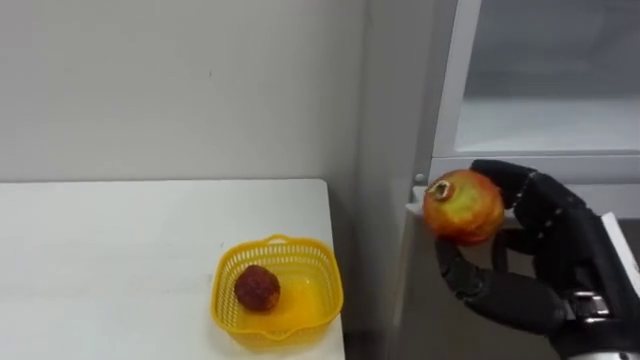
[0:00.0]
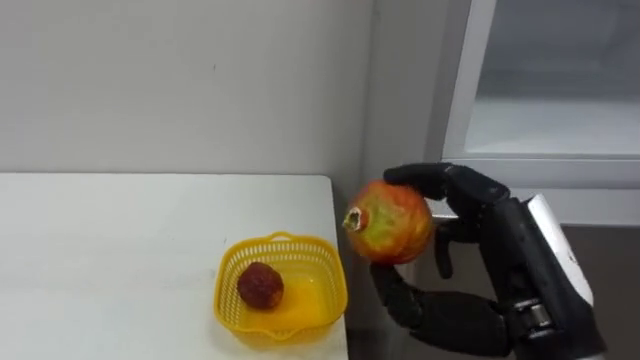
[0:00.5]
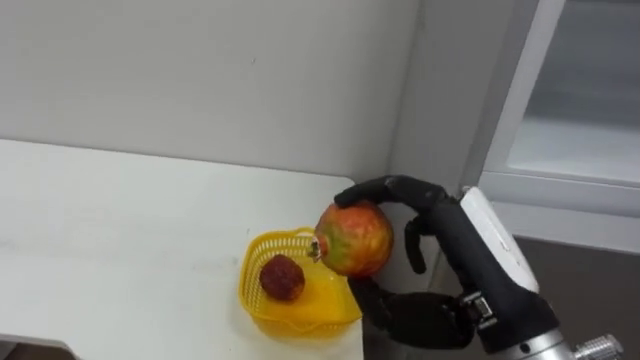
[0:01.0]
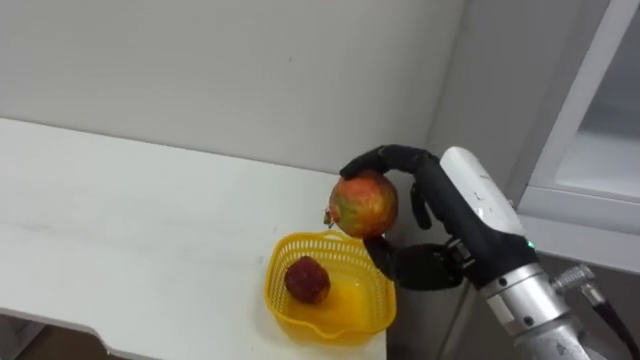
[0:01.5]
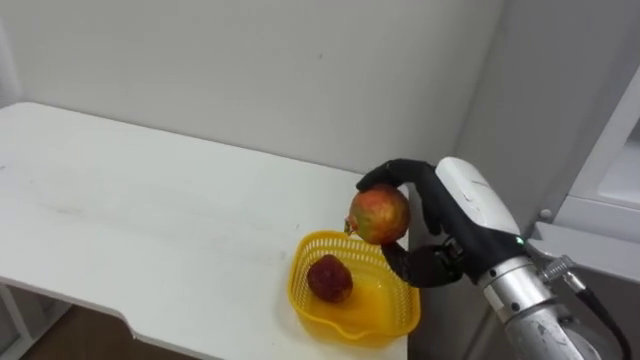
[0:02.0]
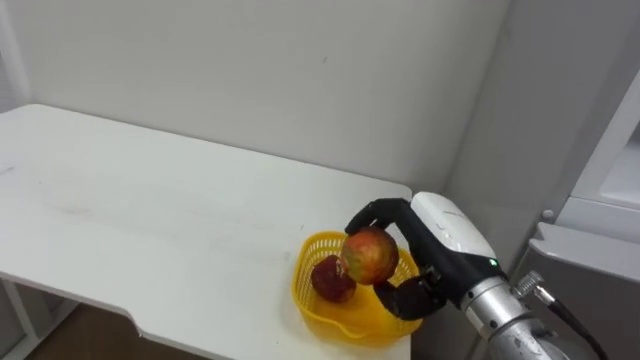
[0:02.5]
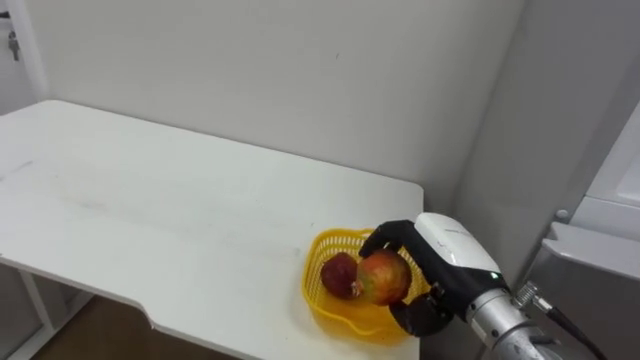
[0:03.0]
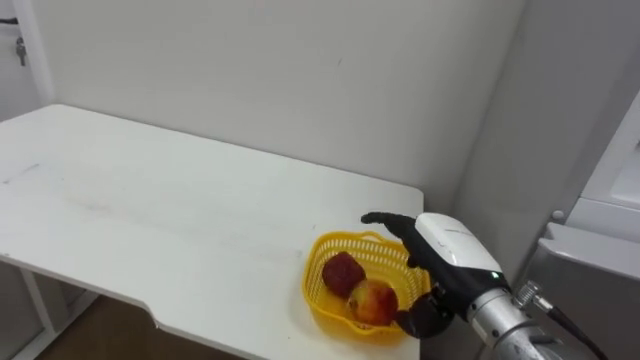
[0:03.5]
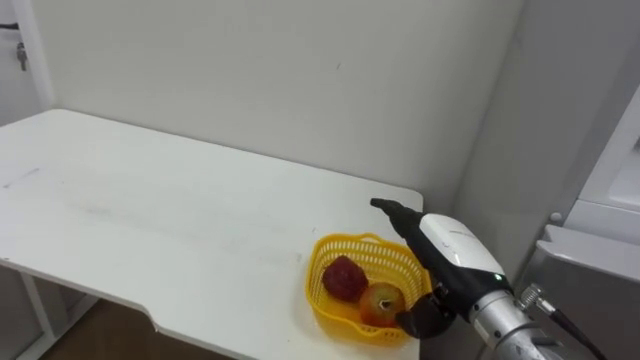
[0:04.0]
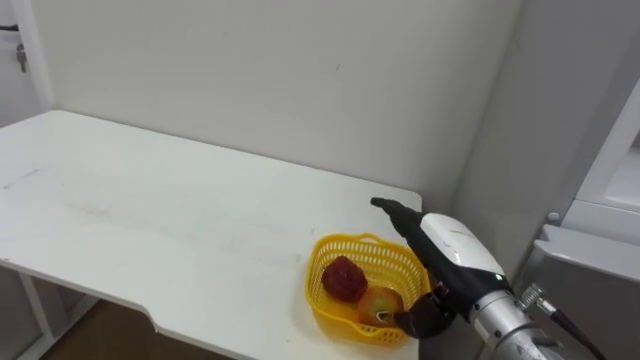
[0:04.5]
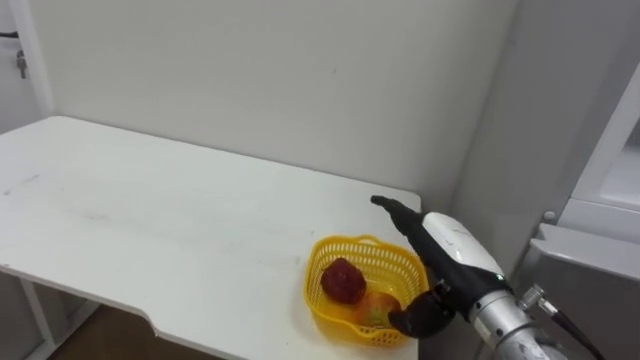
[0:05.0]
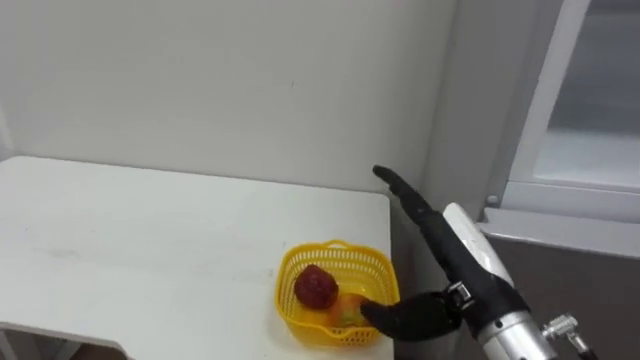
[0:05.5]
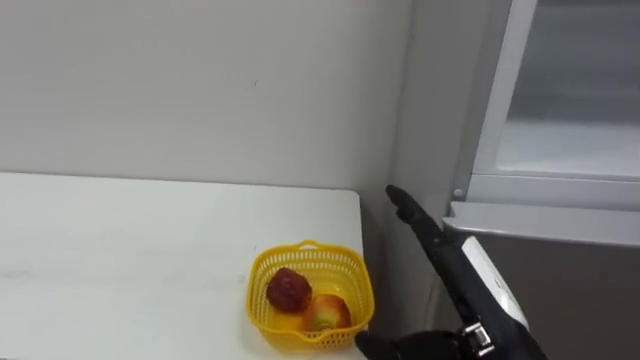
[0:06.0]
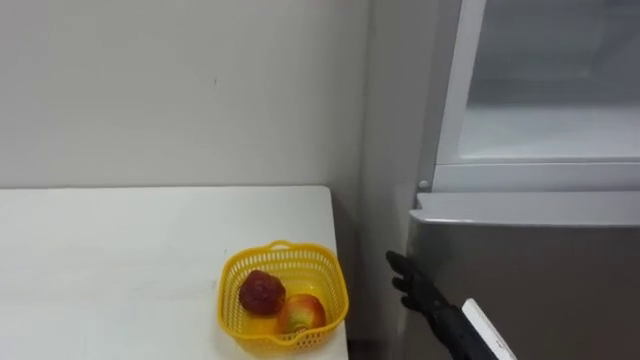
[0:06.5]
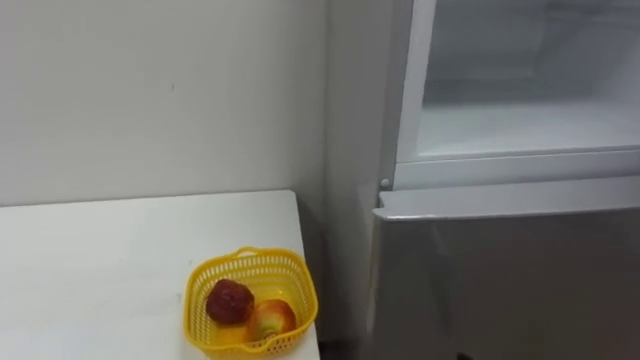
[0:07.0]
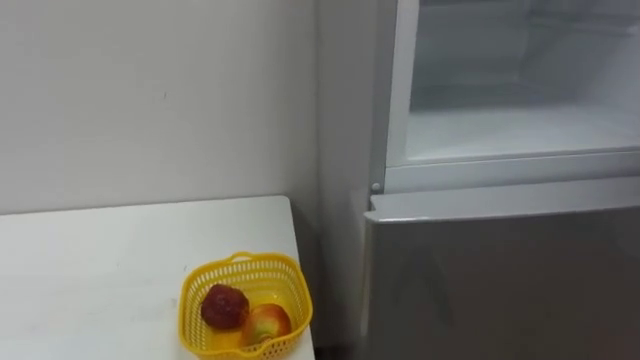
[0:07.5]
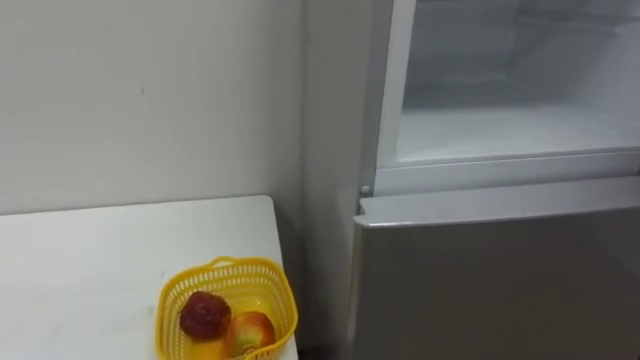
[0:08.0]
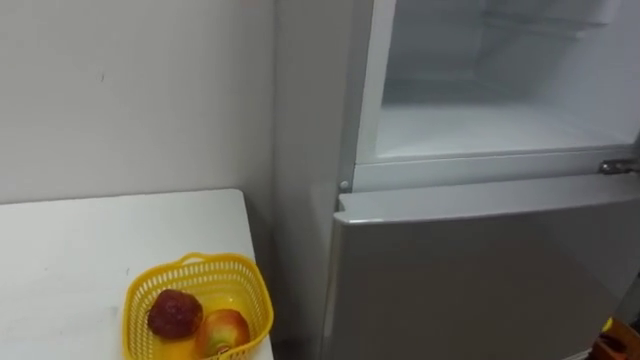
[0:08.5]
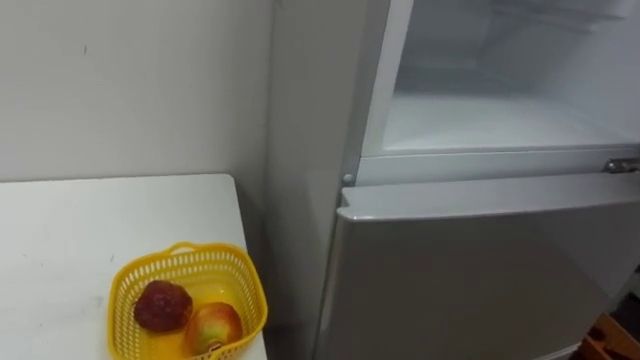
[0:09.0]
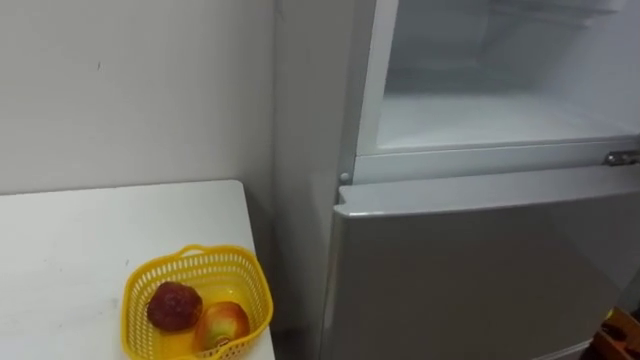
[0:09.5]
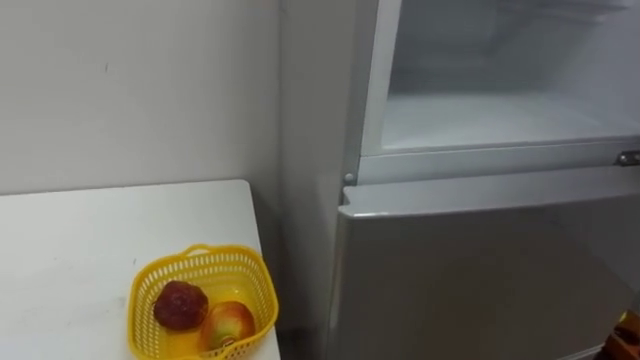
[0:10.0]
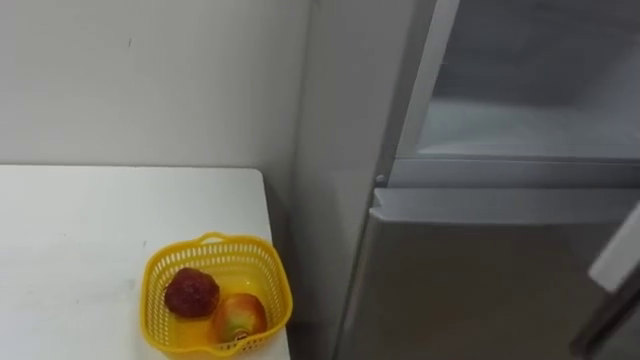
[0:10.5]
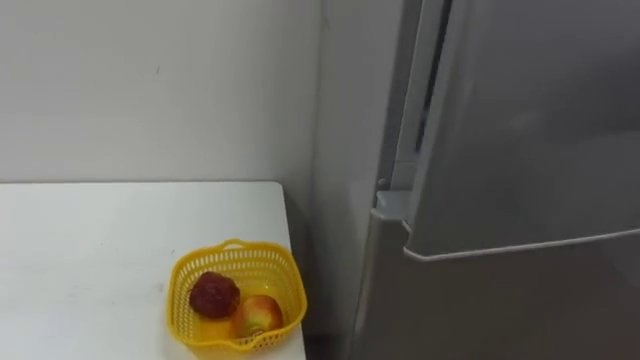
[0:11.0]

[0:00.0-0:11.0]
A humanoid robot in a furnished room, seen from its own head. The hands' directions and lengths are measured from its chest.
Task of the whole recording: Open the refrigerator door, take out the apple and the pomegranate, place them in the fruit basket on the left, and close the refrigerator door.
0:00.0 to 0:02.0: The right hand goes roughly 10 cm to the left and forward.
0:02.0 to 0:03.5: The right hand travels downward by some 5 cm.

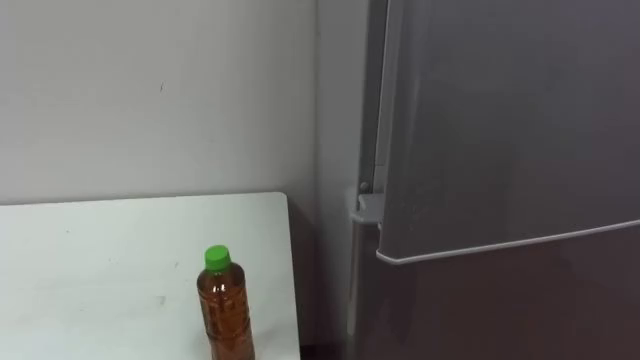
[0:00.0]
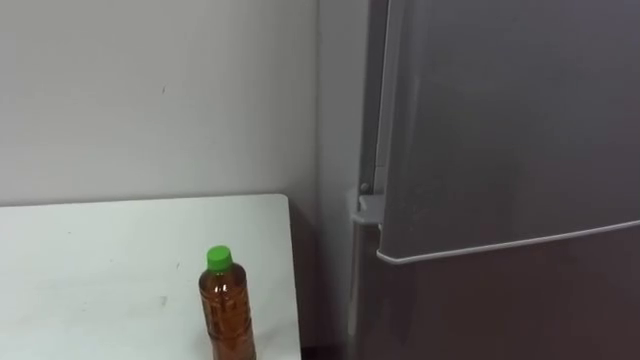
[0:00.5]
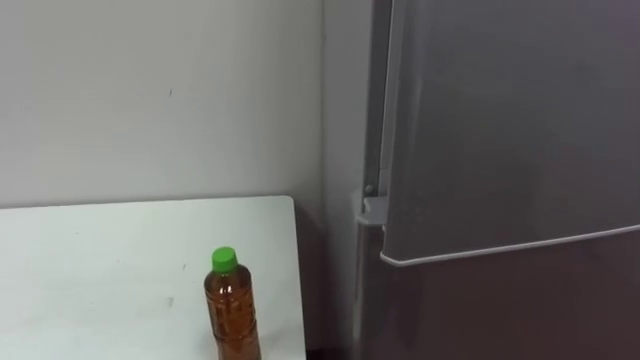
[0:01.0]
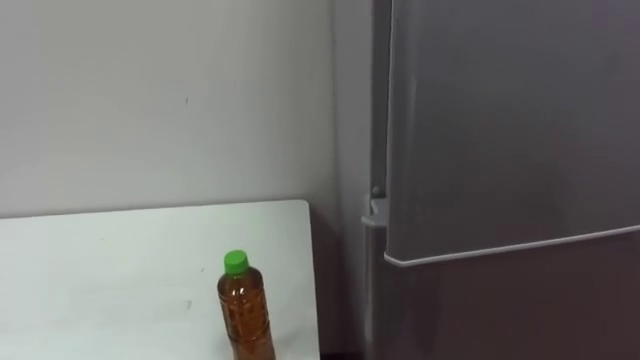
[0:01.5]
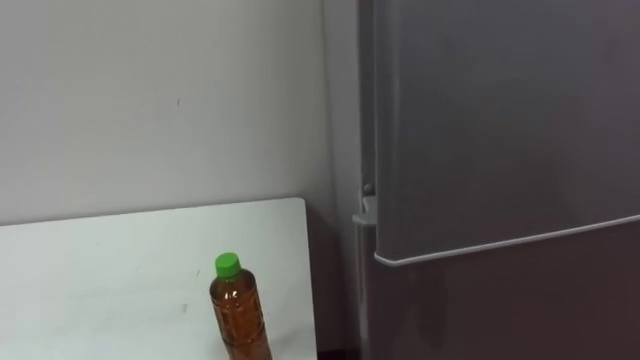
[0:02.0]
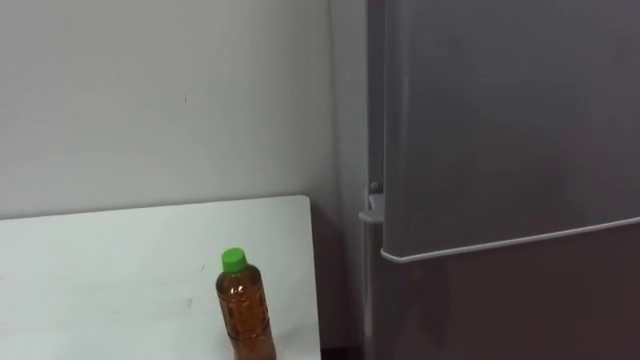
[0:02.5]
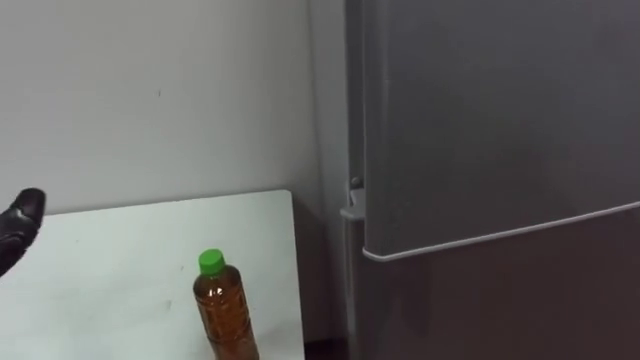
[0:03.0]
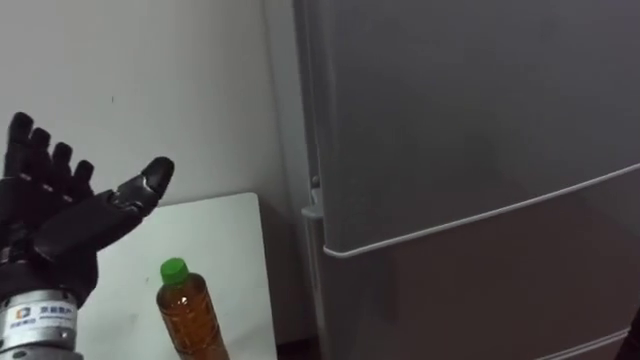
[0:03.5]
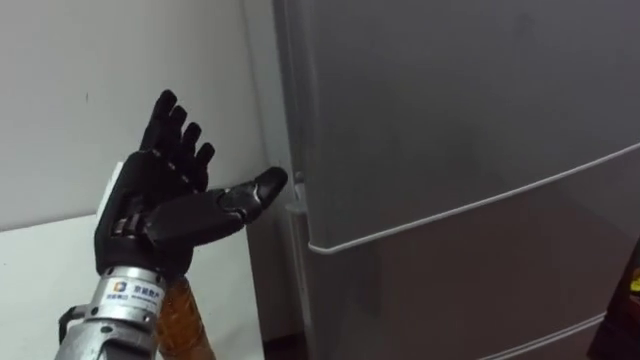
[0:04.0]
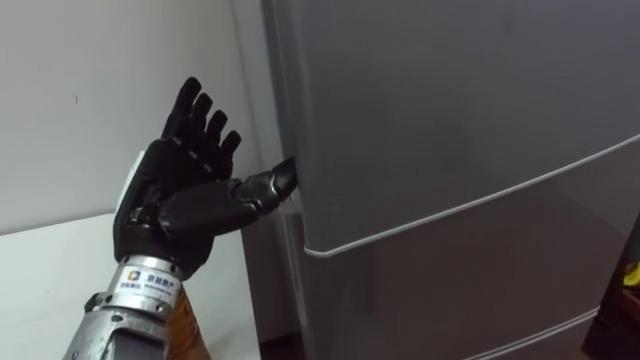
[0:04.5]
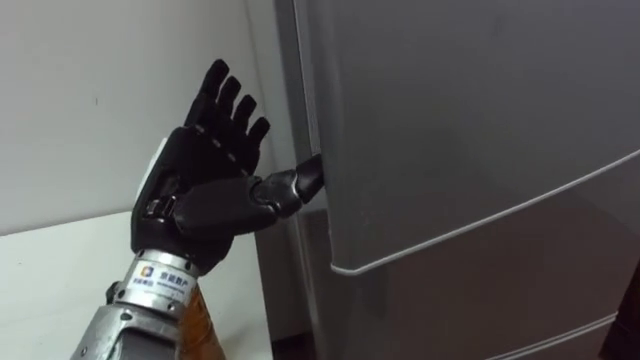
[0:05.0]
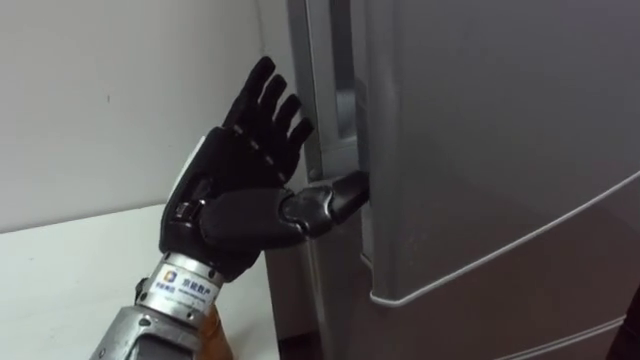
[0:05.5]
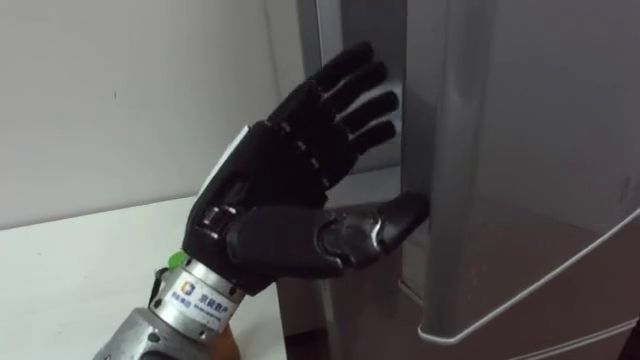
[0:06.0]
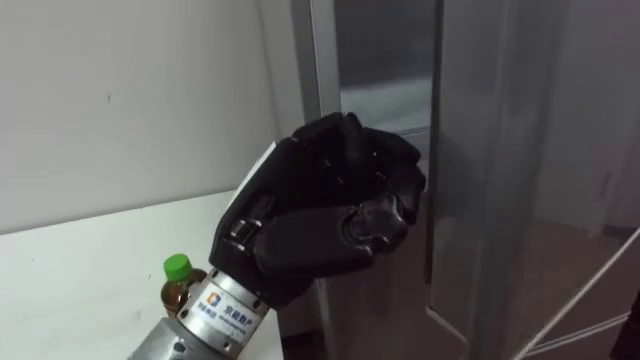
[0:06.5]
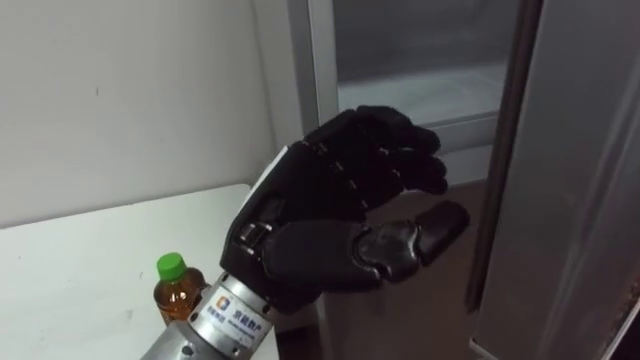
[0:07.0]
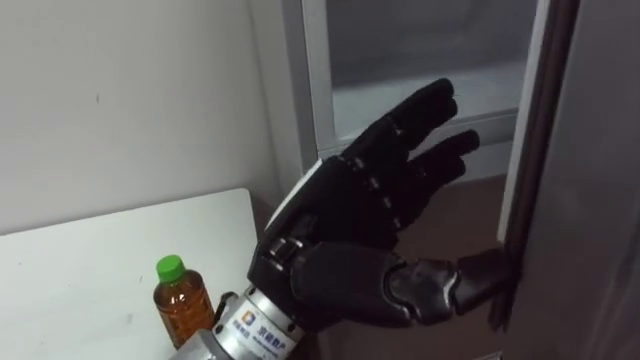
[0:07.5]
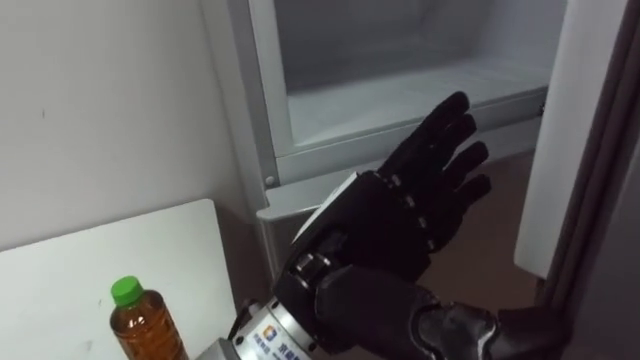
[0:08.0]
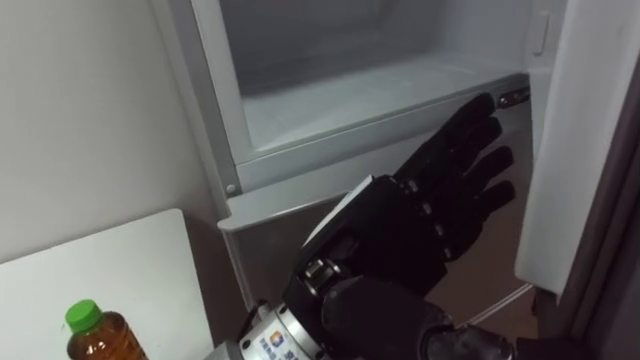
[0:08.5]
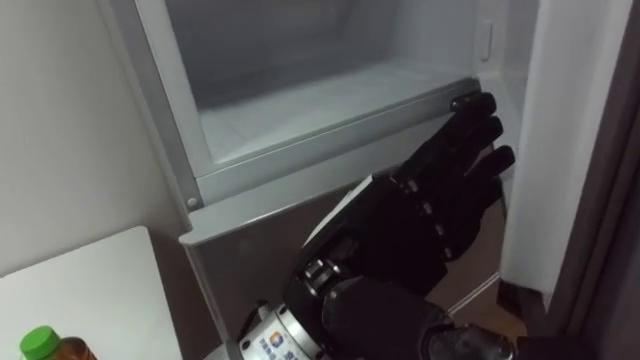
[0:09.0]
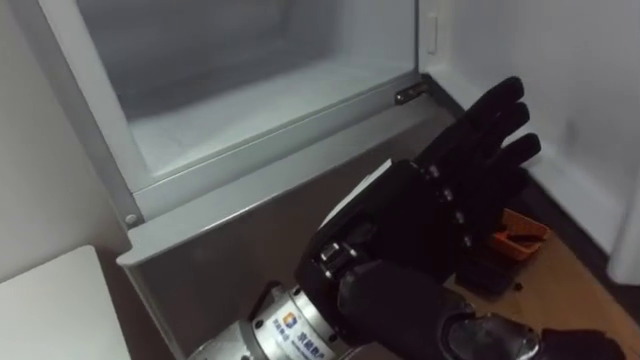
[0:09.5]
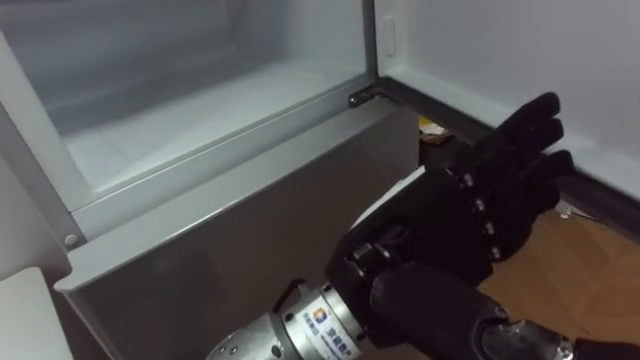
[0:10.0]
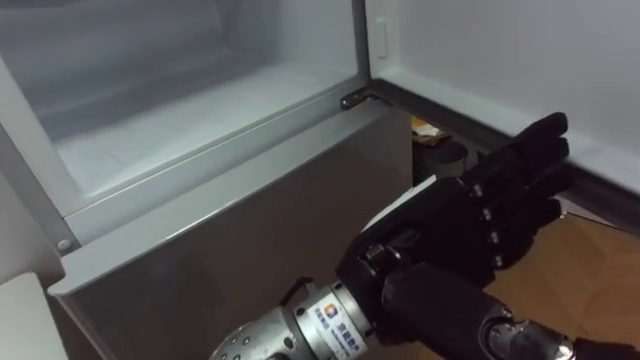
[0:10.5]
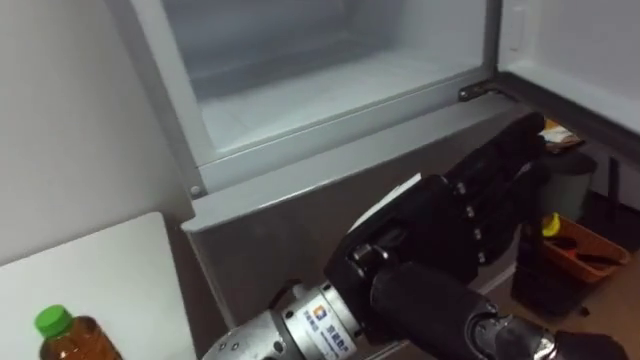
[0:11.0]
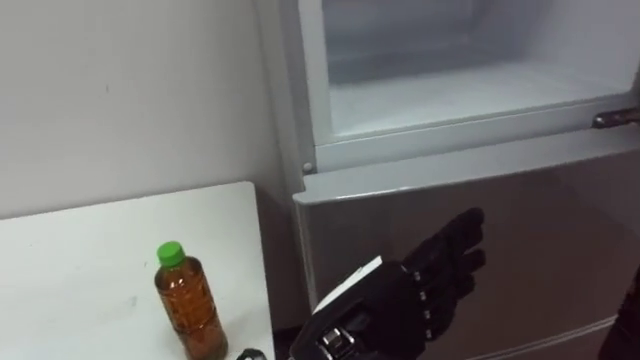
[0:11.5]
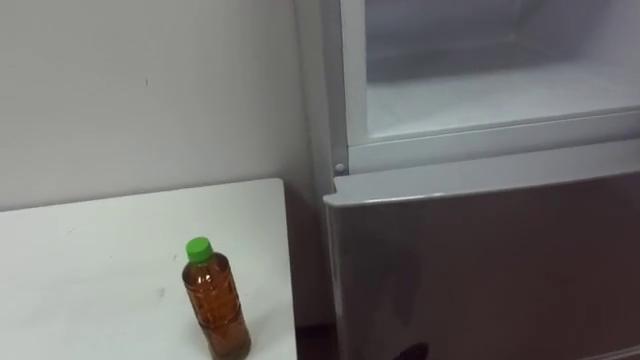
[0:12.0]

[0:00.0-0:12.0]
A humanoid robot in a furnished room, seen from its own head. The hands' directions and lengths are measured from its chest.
Task of the whole recording: Open the upper refrigerator door, put the drink from the table into the refrigerator, and then close the refrigerator door.
0:04.0 to 0:06.0: The left hand heads to the right, covering some 10 cm.
0:06.0 to 0:08.0: The left hand moves to the right, about 5 cm, and closes and opens again.
